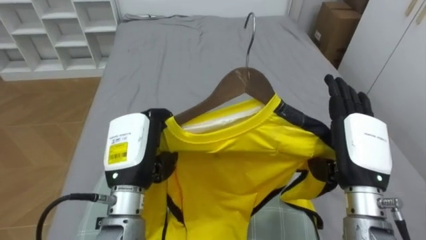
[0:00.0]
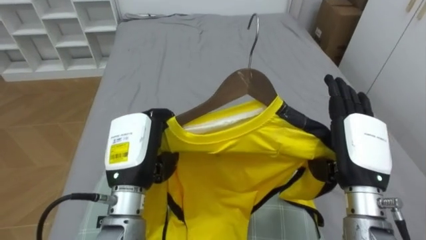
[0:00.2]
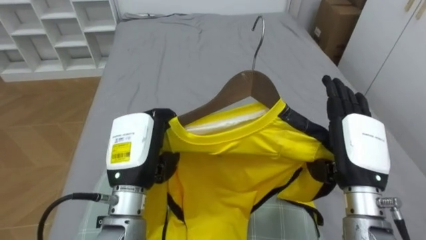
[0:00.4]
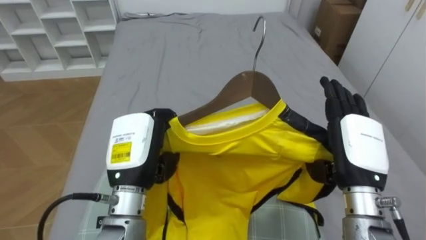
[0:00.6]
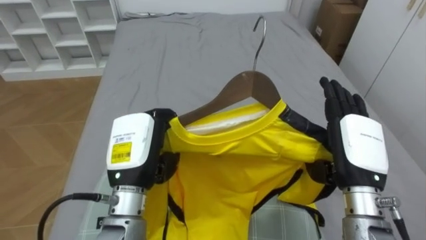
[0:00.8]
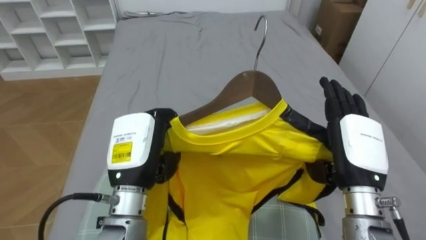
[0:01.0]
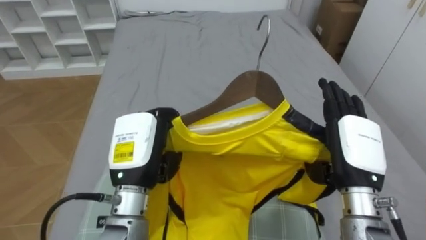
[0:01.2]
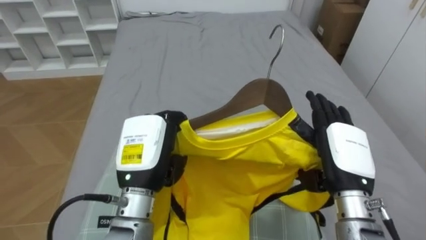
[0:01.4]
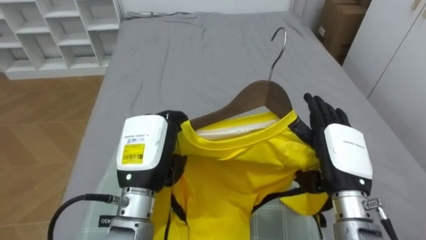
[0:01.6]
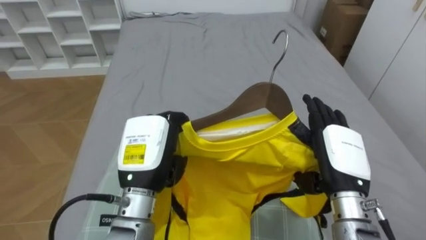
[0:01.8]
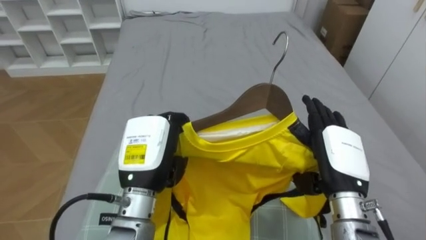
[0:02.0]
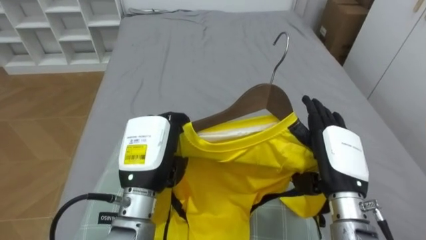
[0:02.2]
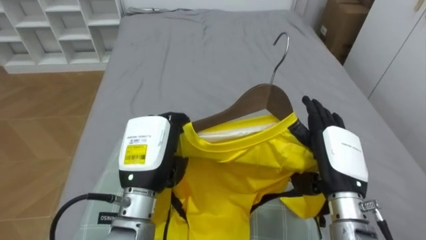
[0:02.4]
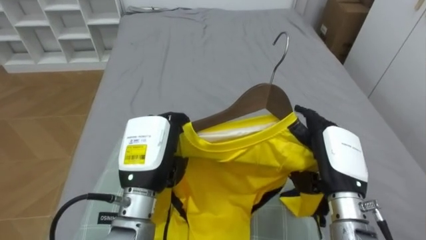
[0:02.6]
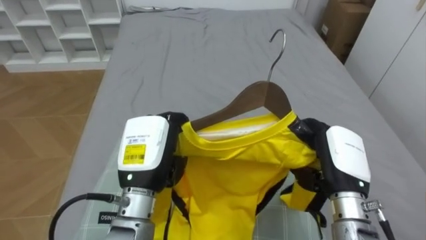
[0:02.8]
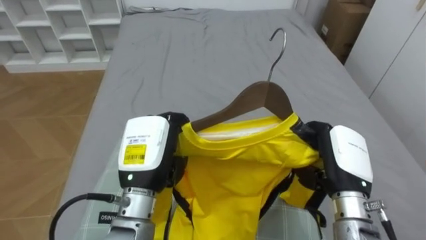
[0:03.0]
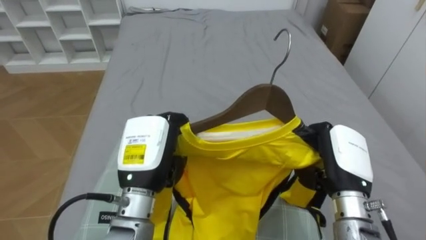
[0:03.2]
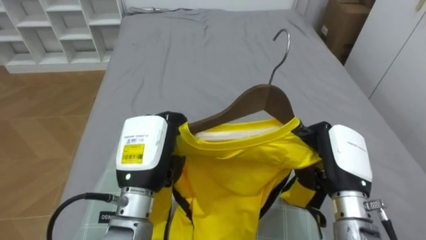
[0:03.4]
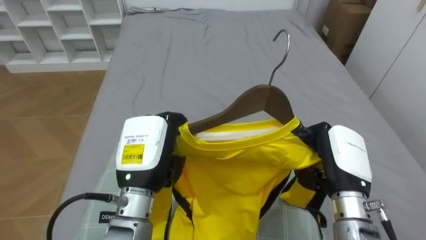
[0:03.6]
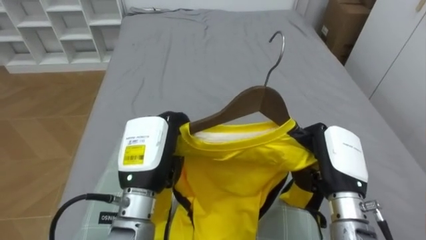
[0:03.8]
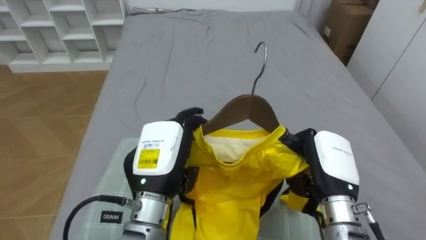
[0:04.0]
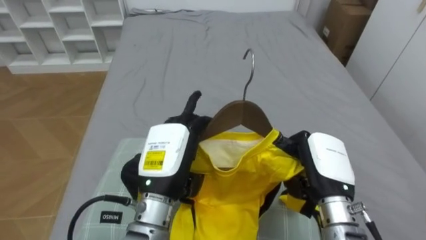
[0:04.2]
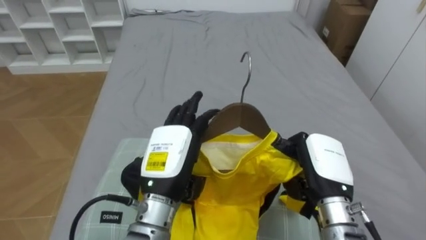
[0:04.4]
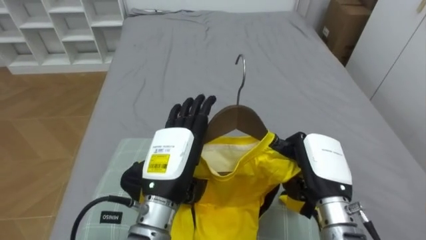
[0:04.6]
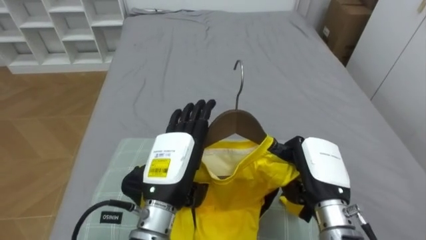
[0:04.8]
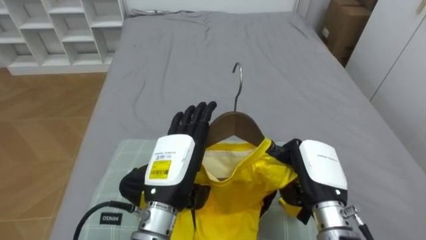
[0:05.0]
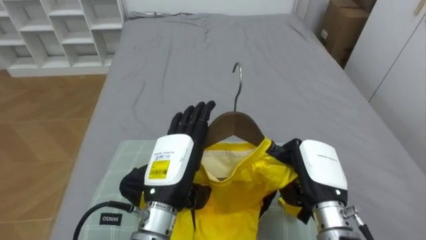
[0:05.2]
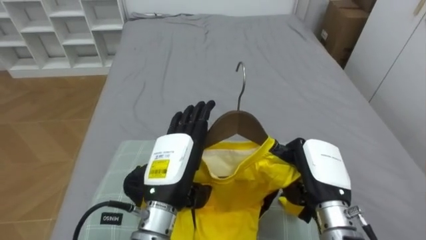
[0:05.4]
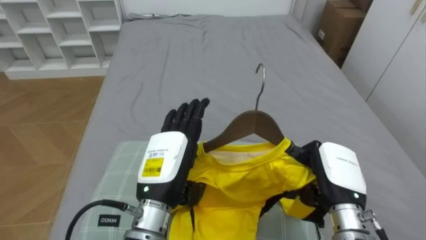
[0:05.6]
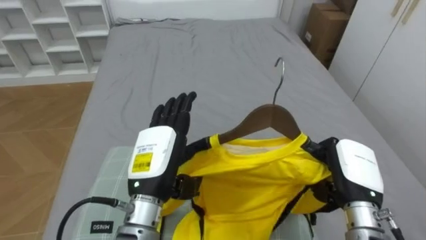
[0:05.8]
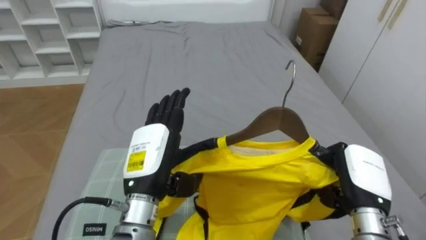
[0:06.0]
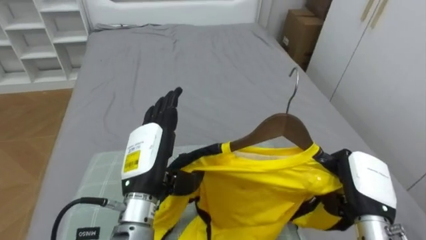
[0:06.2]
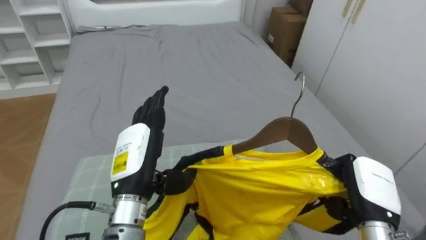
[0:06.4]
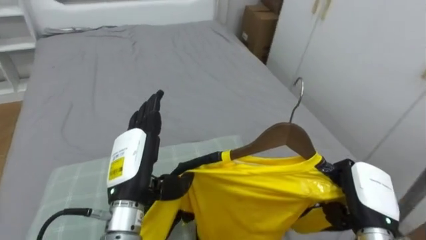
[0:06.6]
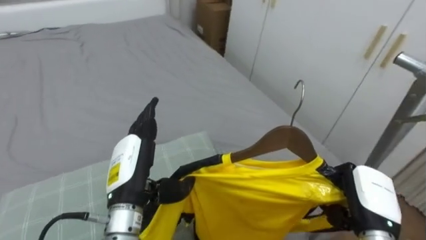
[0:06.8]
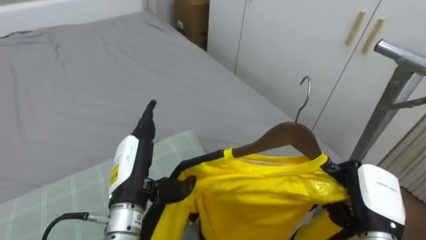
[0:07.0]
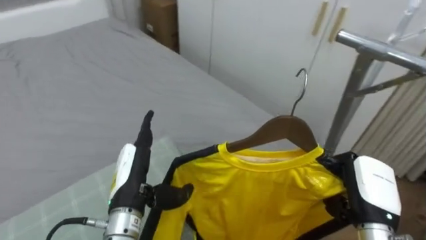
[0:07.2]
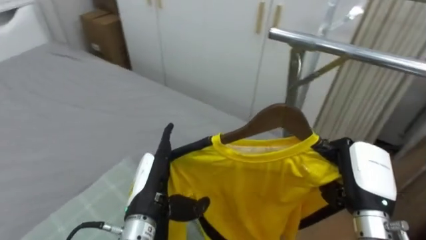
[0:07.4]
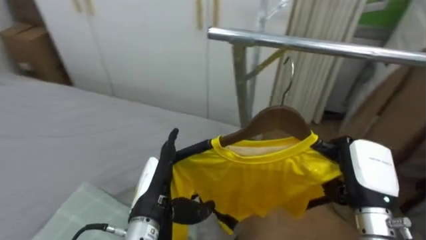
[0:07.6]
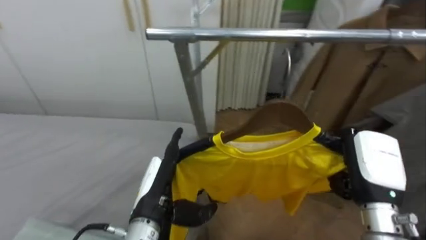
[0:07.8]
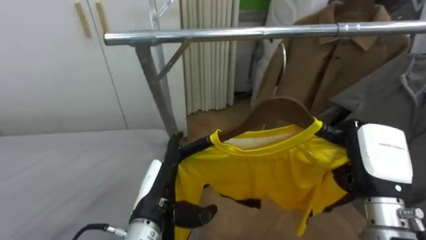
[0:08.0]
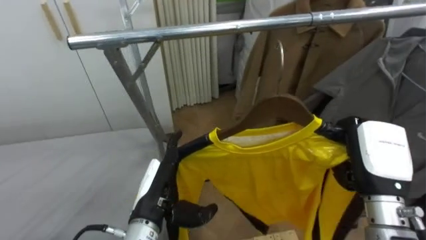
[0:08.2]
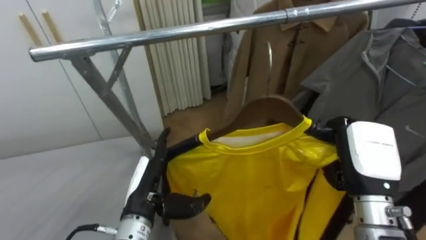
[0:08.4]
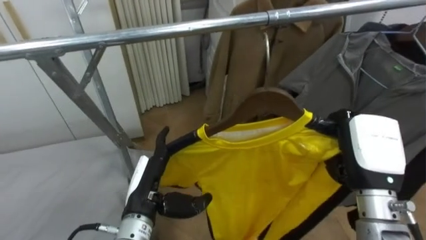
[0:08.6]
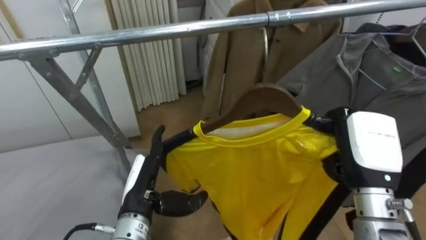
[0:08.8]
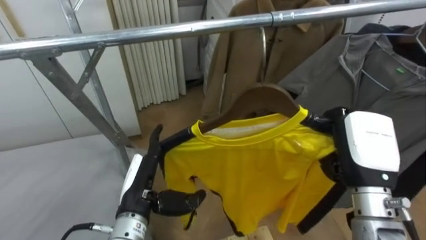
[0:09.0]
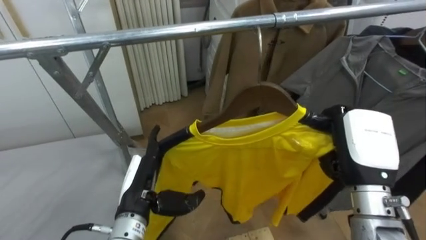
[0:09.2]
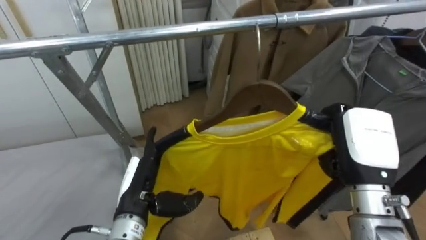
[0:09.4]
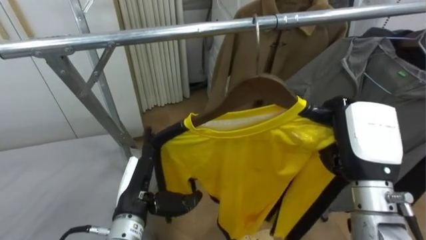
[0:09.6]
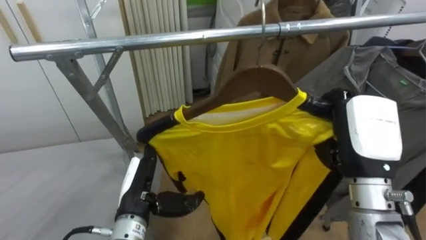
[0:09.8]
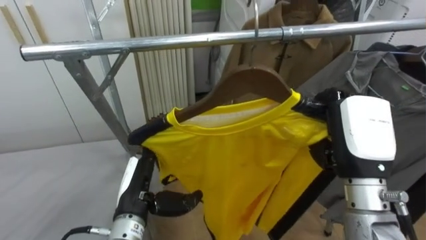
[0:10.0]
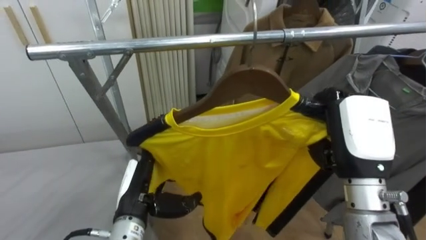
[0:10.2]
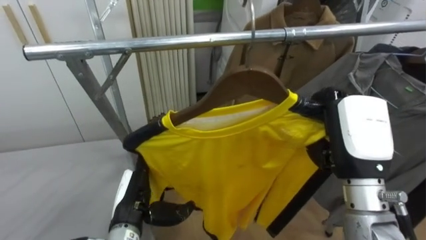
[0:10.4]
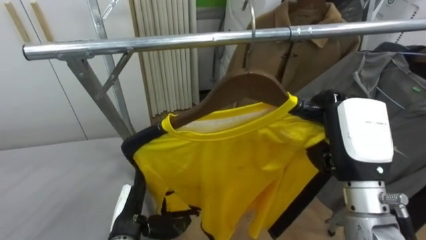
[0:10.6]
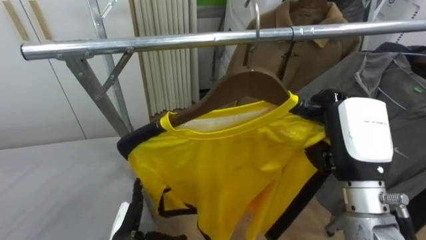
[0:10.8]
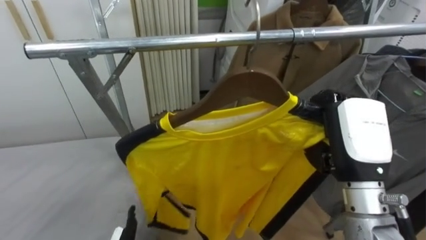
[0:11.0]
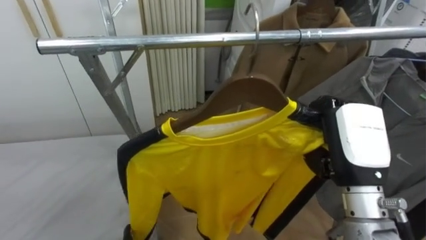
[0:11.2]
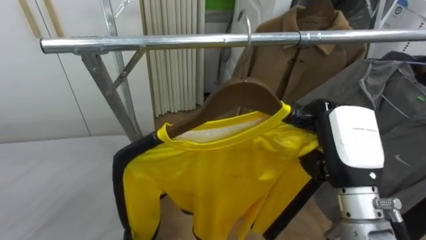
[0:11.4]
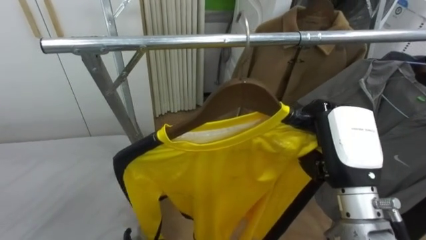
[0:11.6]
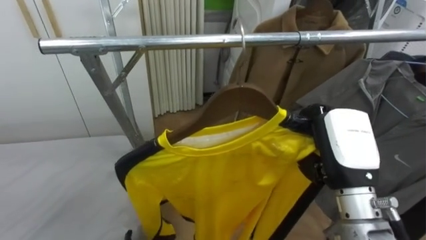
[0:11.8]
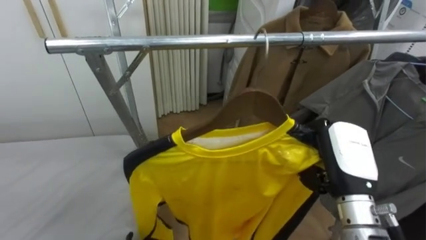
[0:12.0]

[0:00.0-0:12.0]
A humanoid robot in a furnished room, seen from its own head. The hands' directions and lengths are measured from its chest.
Task of the whole recording: Pick up the yellow shirt on the bed and hang it on the clothes rack on the right.
0:01.6 to 0:03.0: The right hand closes.
0:03.0 to 0:04.4: The left hand opens.
0:04.4 to 0:06.0: The right hand travels to the right by about 5 cm.
0:06.0 to 0:07.6: The robot turns to its right by approximately 60 degrees. The left hand heads downward, covering roughly 5 cm.
0:07.6 to 0:09.0: The robot rotates some 40 degrees to its right. The right hand heads upward, covering roughly 5 cm.
0:10.4 to 0:12.0: The right hand travels downward by about 5 cm.

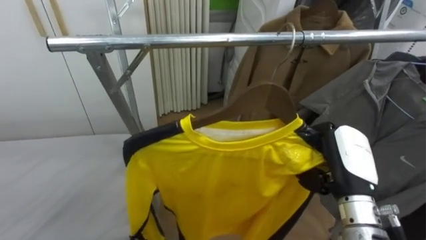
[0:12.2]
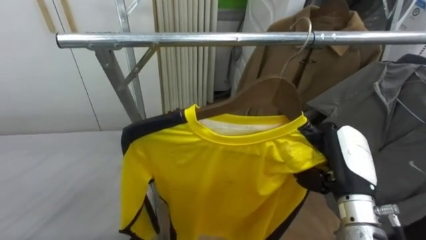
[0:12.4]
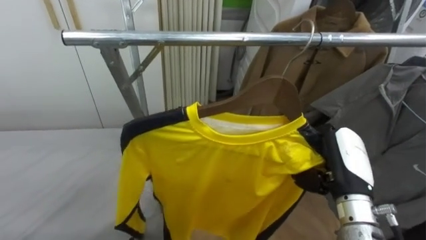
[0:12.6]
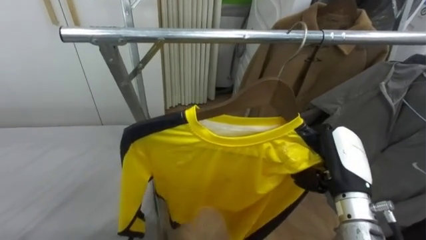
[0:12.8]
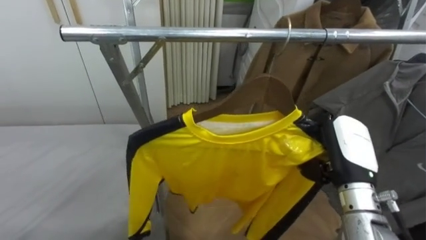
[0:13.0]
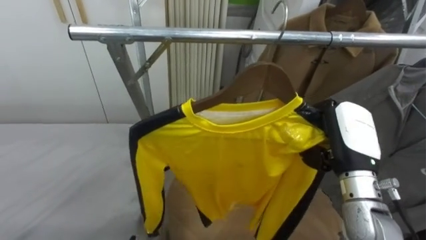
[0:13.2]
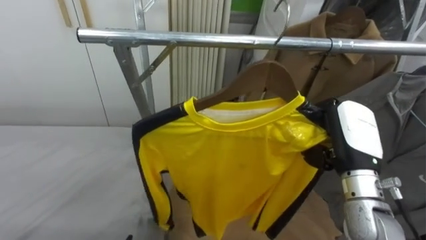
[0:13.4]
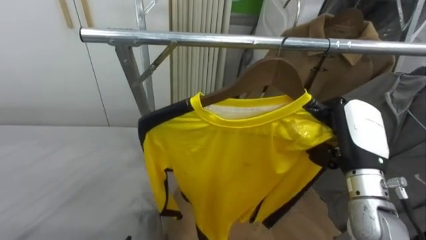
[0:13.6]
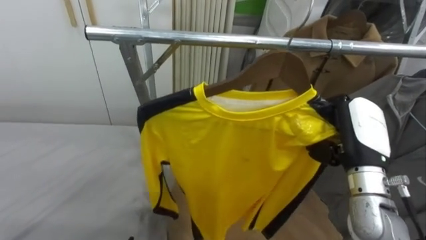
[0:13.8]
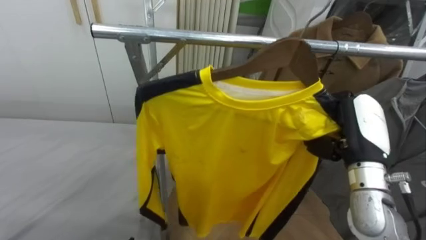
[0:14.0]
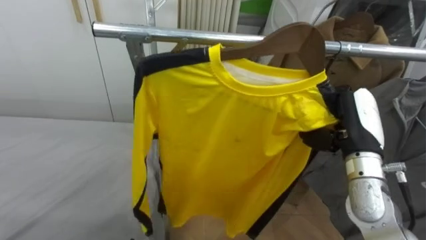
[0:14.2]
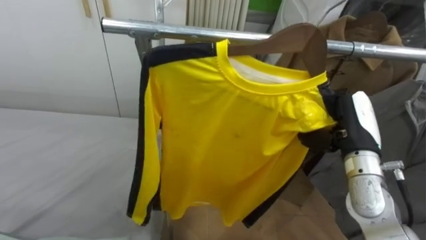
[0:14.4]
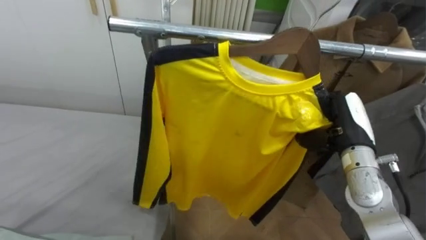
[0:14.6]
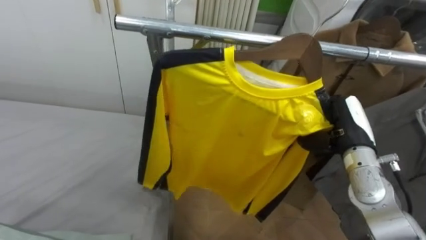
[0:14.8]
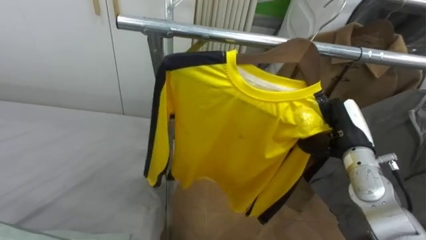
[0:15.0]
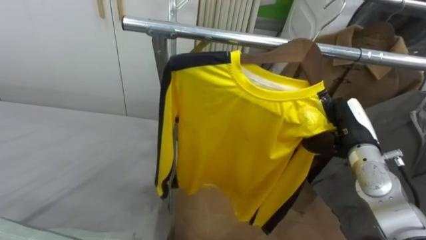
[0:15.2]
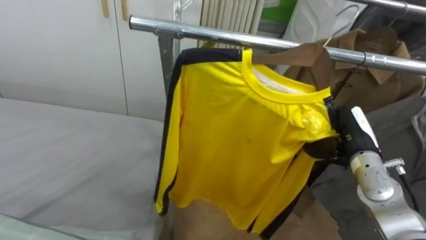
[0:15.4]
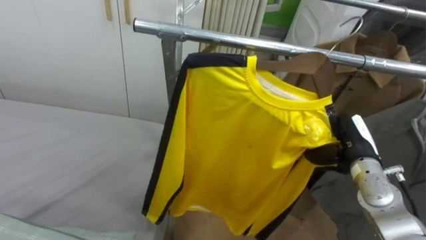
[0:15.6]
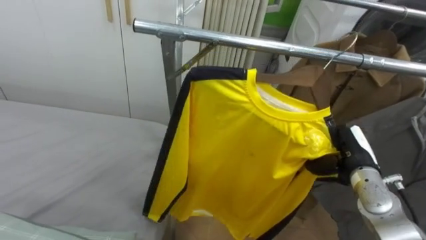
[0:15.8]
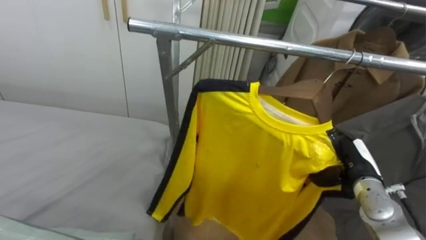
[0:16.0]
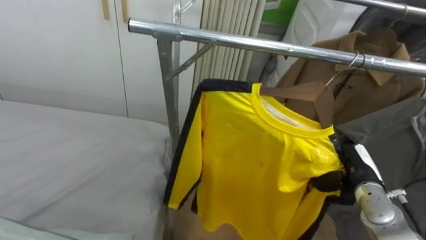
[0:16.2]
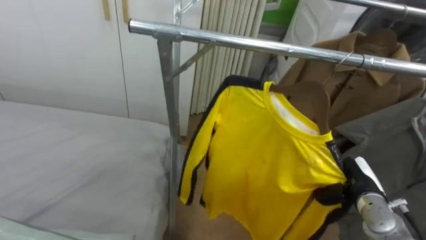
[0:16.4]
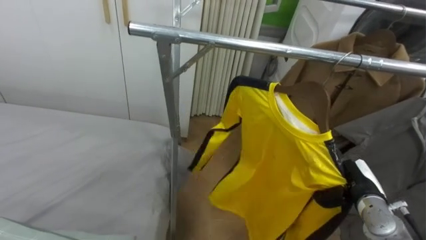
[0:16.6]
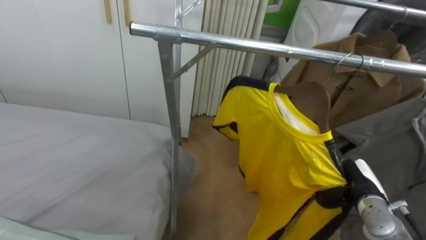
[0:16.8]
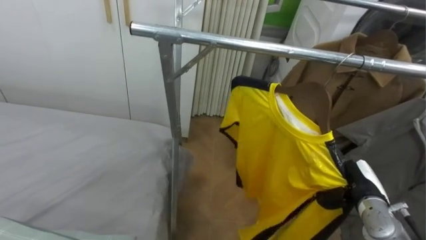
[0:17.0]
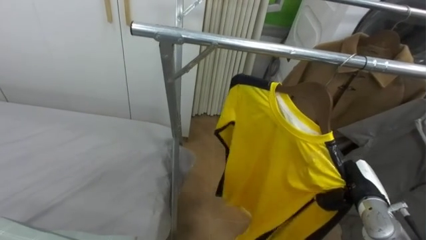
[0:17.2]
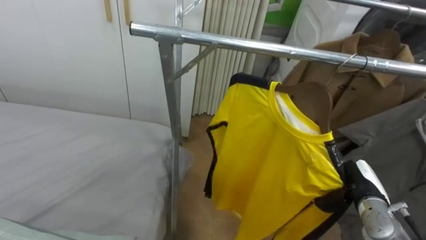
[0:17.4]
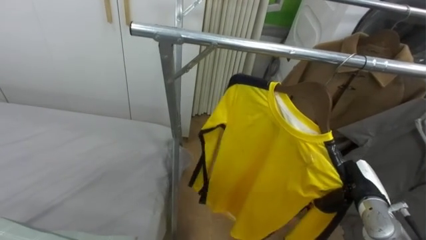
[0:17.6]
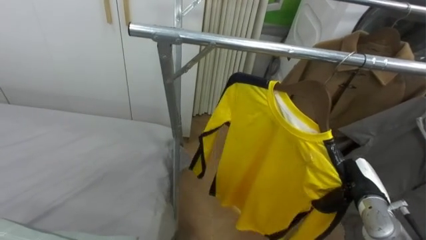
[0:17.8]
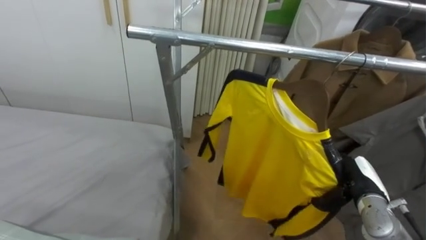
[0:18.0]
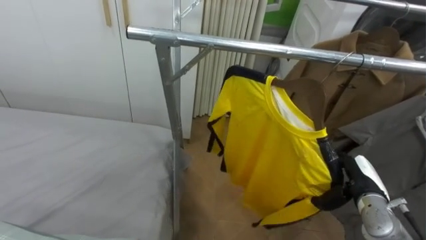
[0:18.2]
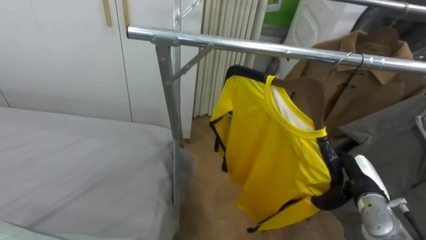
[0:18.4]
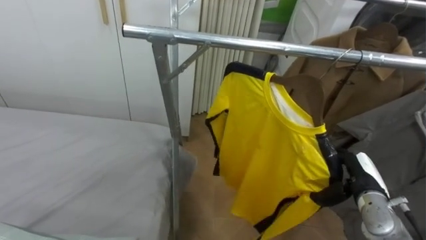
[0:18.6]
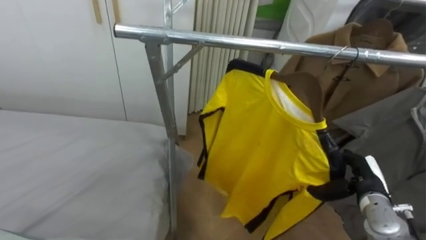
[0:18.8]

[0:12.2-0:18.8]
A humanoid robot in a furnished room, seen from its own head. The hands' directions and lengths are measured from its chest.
Task of the whole recording: Pick up the yellow shirt on the bed and hang it on the clothes rack on the right.
0:13.8 to 0:15.4: The right hand heads downward and forward, covering approximately 10 cm.
0:15.4 to 0:17.2: The right hand travels downward and backward by about 10 cm.
0:17.2 to 0:18.8: The right hand opens up.
